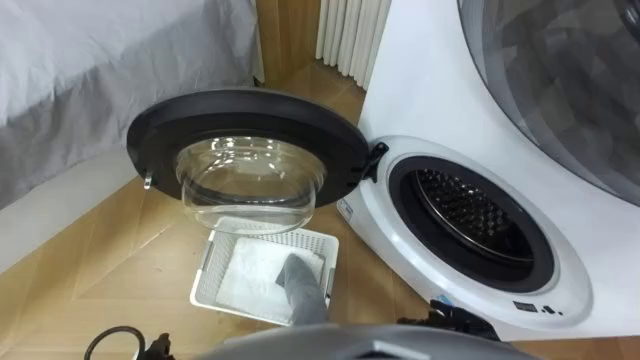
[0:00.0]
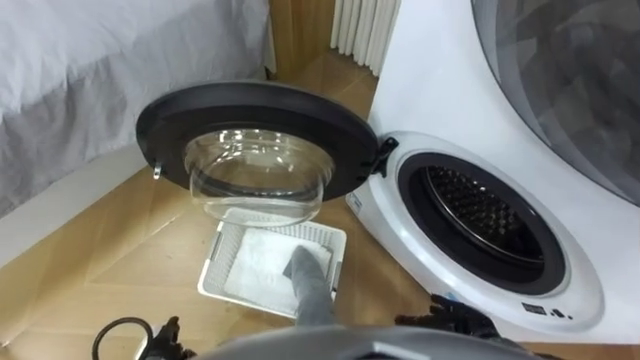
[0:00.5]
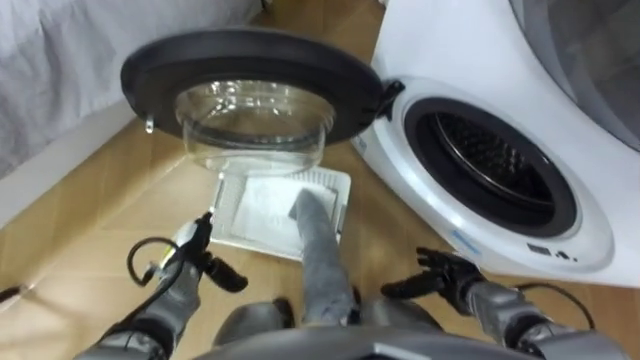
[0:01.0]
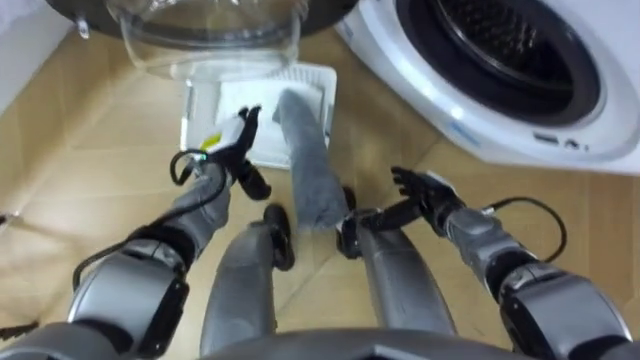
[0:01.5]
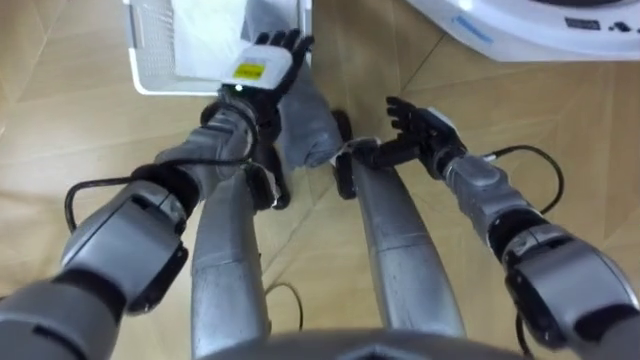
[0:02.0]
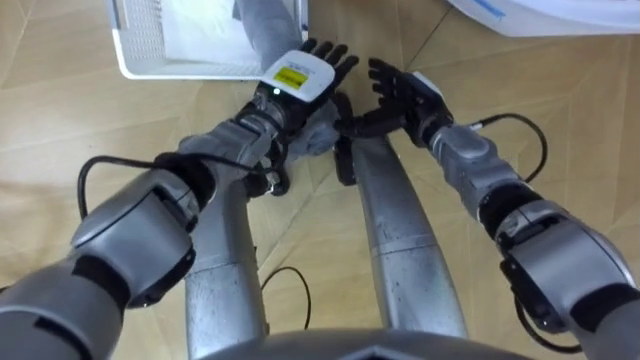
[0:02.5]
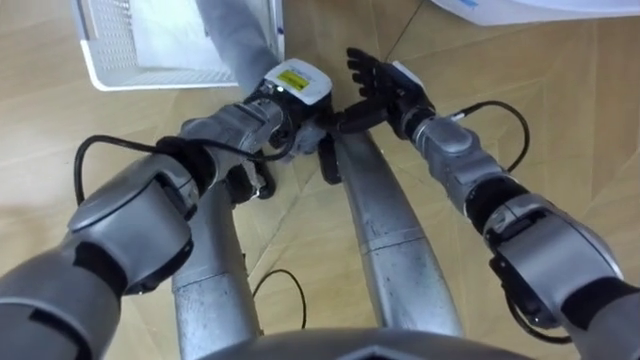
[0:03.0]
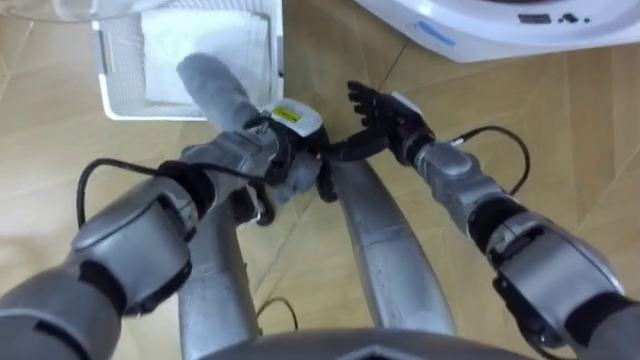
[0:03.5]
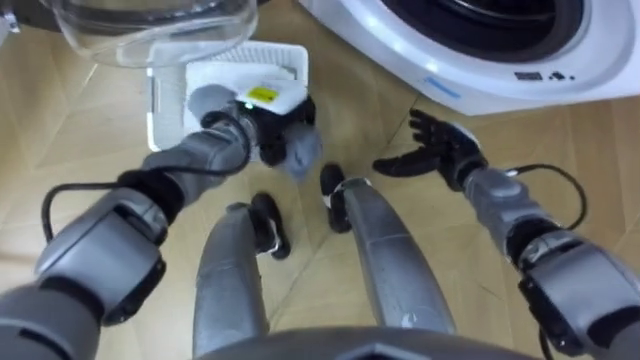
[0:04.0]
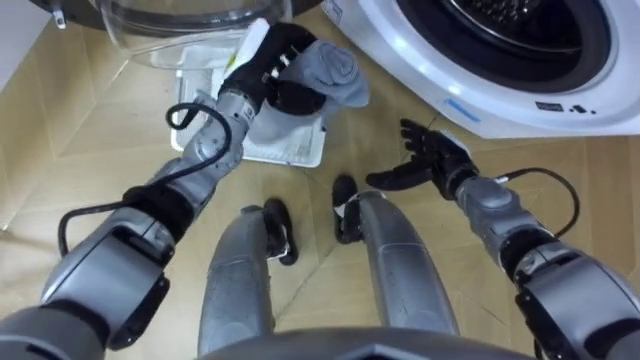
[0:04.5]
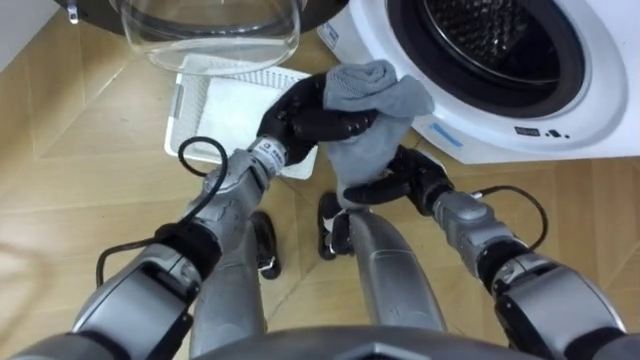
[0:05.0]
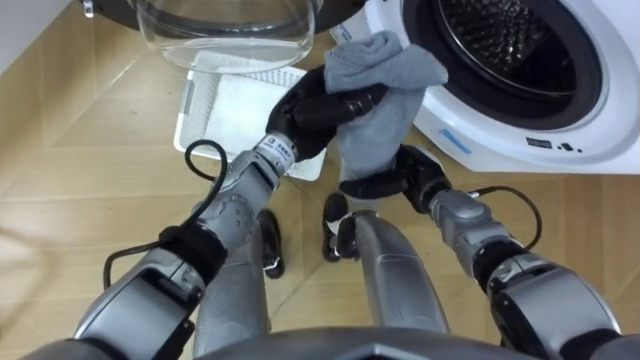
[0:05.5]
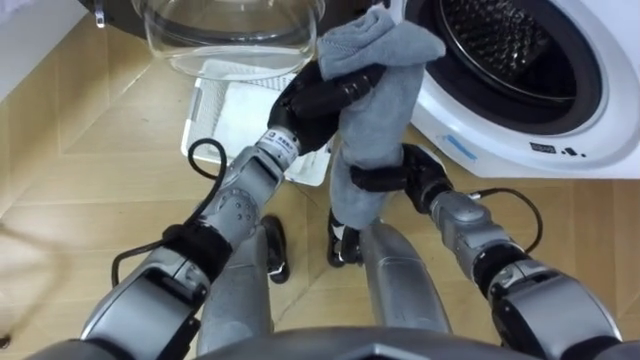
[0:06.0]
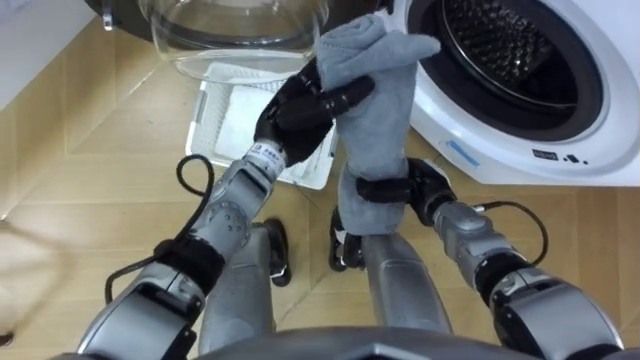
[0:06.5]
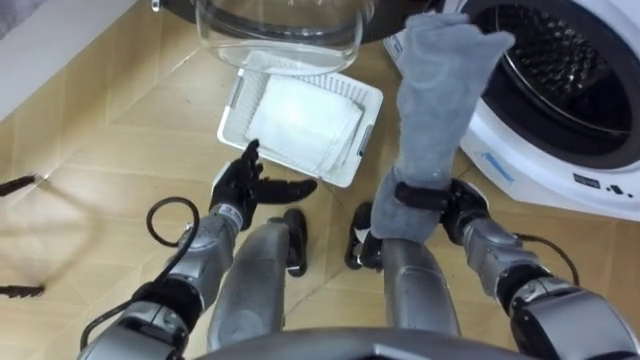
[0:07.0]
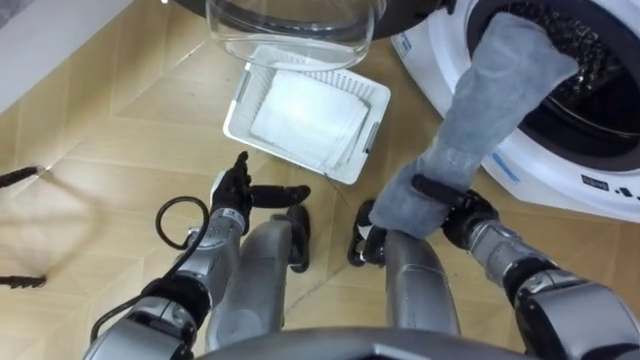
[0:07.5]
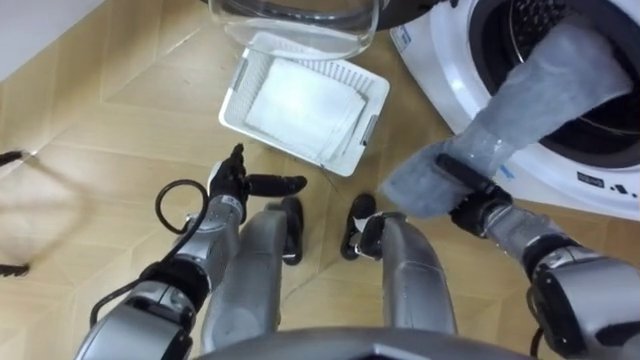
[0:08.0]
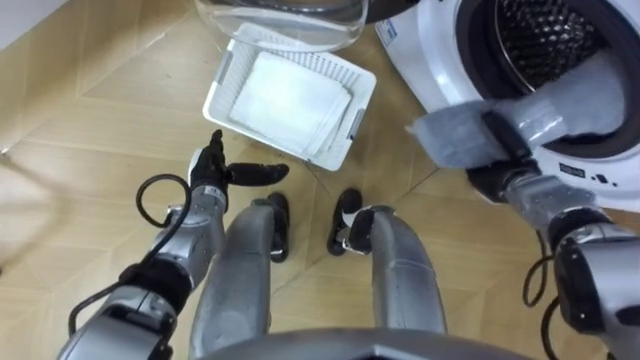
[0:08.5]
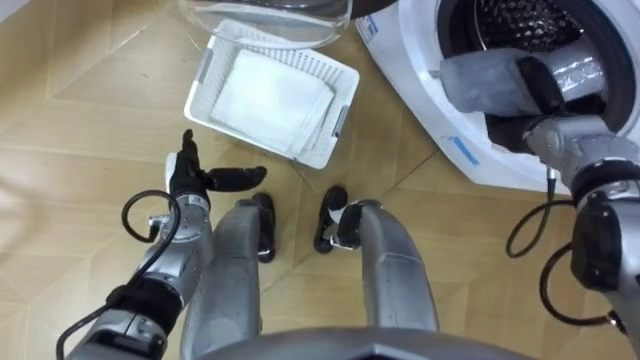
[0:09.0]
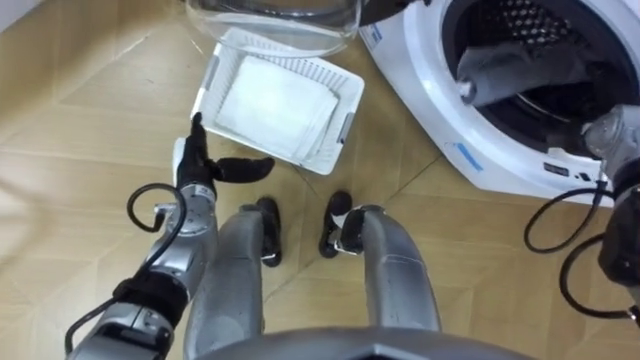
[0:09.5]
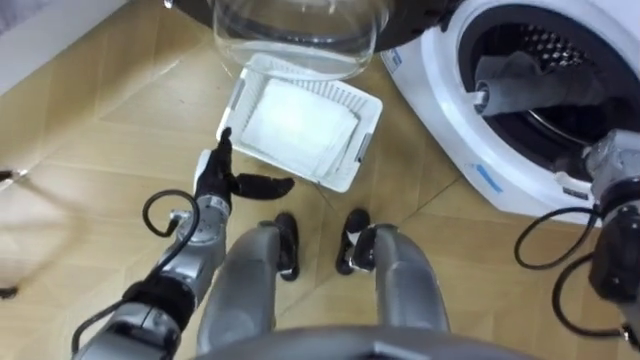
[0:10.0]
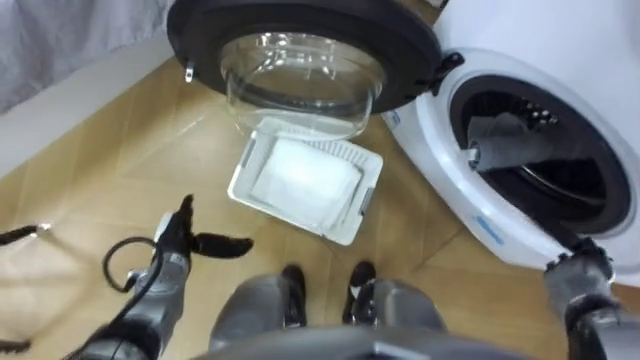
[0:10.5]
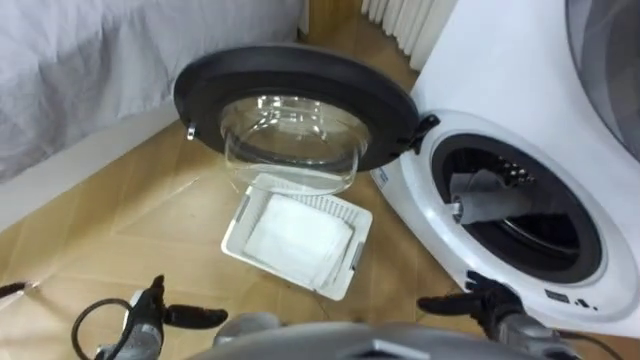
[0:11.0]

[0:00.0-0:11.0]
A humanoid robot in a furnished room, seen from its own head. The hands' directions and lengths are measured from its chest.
Task of the whole recording: Take the towel from the basket and put it into the washing machine.
0:02.0 to 0:03.5: The left hand heads downward, covering about 5 cm, and closes up. The right hand travels to the left by roughly 5 cm.
0:03.5 to 0:05.5: The left hand goes approximately 5 cm upward. Meanwhile the right hand shifts about 10 cm downward and backward.
0:05.5 to 0:07.5: The left hand heads downward, to the left and backward, covering roughly 20 cm, and opens its fingers. The right hand shifts about 10 cm to the right, and closes up.
0:07.5 to 0:09.0: The left hand heads to the left, covering about 5 cm, while the right hand moves forward, upward and to the right, approximately 15 cm.
0:09.0 to 0:11.0: The two hands go roughly 25 cm backward and downward. The right hand opens its fingers.

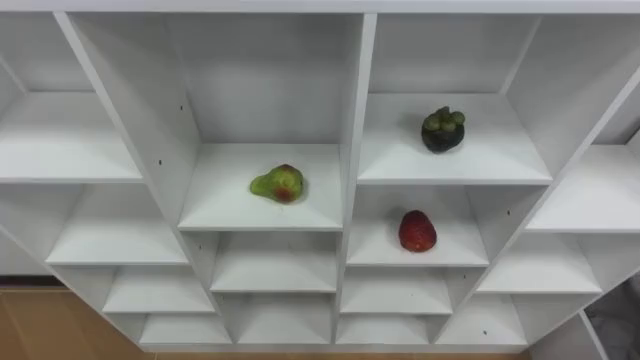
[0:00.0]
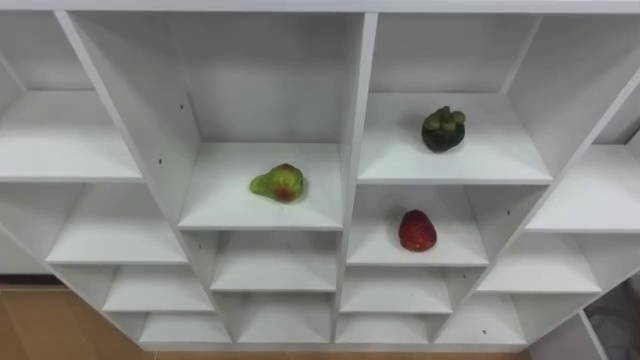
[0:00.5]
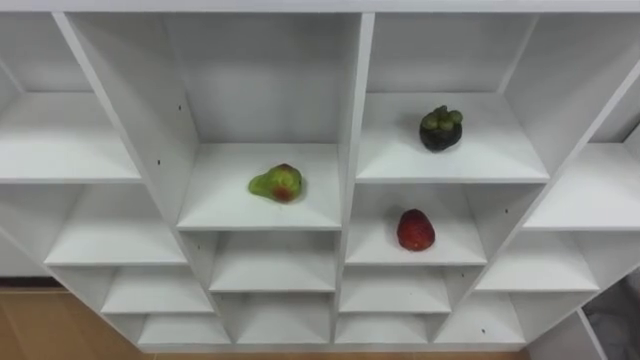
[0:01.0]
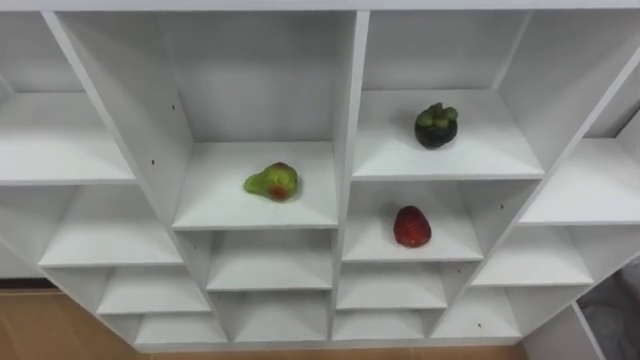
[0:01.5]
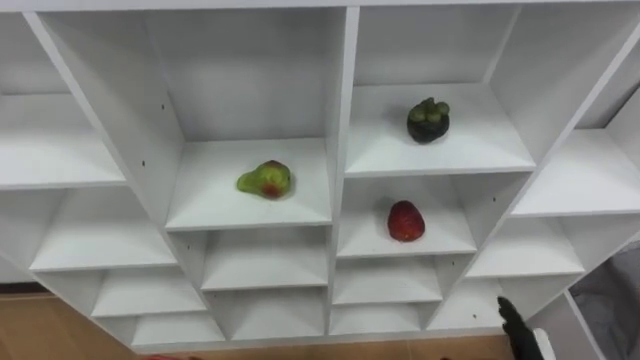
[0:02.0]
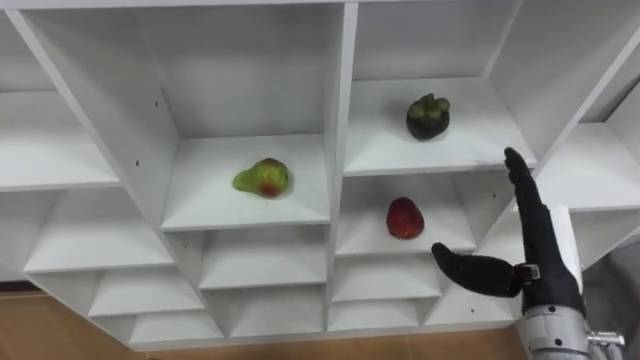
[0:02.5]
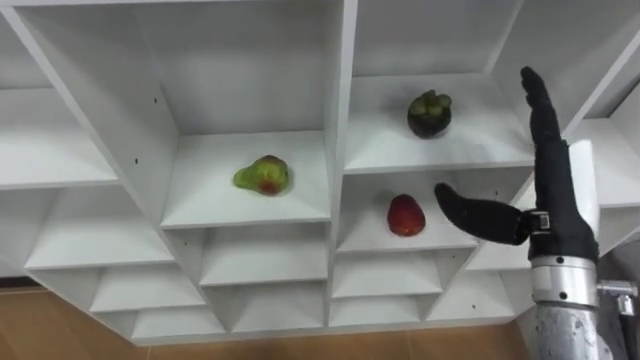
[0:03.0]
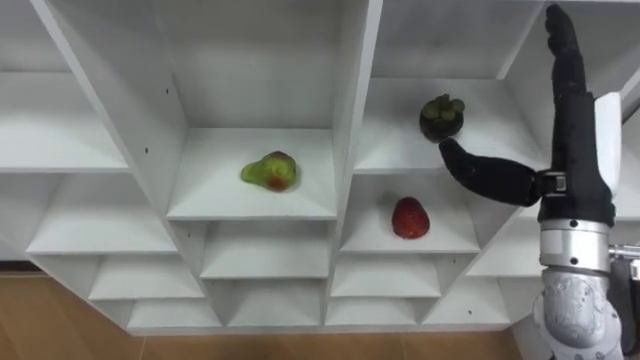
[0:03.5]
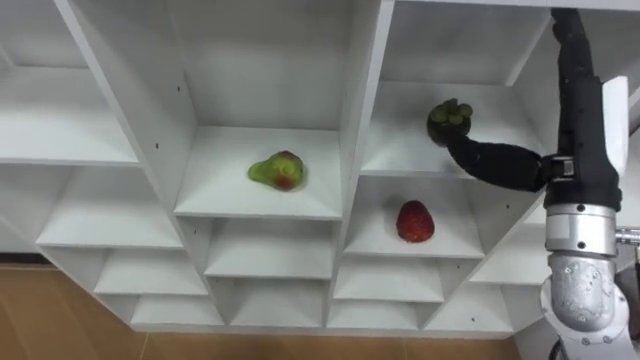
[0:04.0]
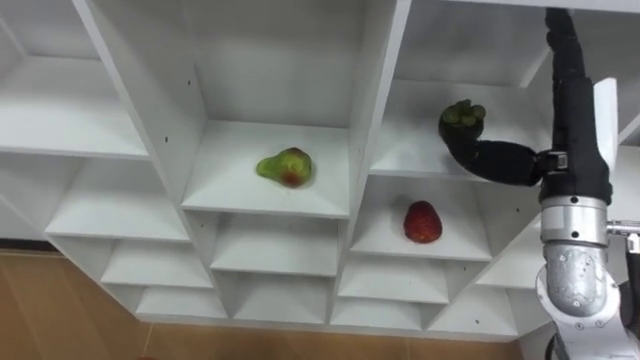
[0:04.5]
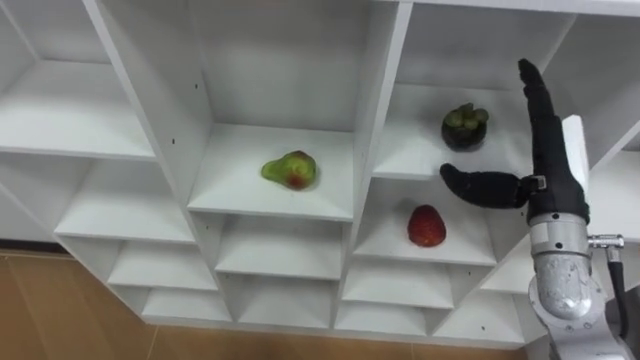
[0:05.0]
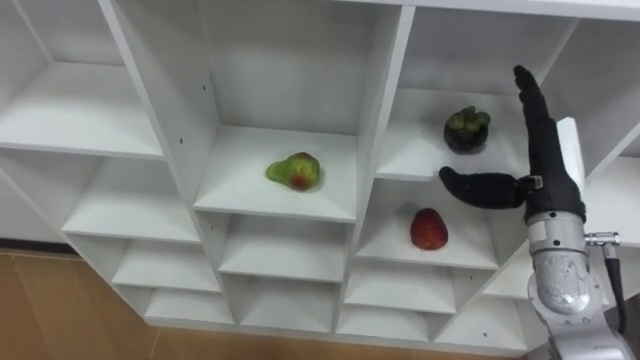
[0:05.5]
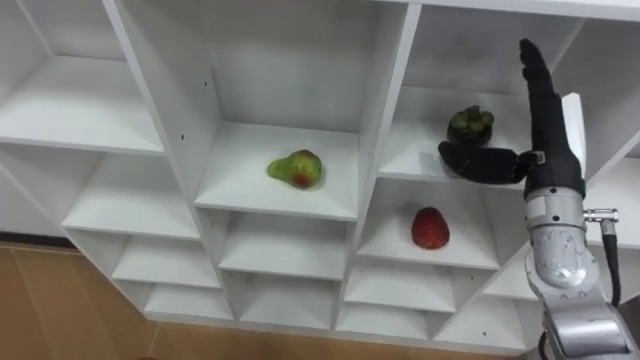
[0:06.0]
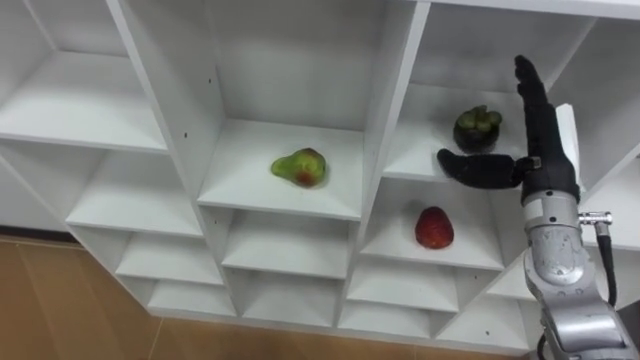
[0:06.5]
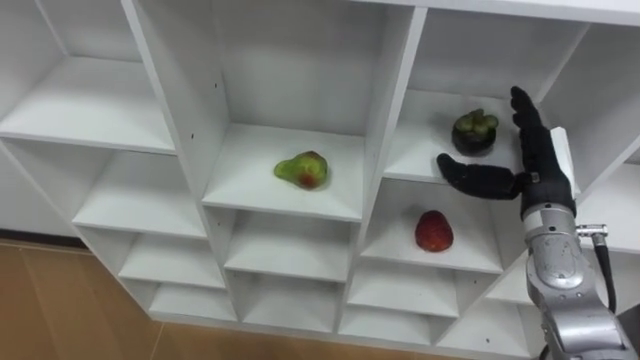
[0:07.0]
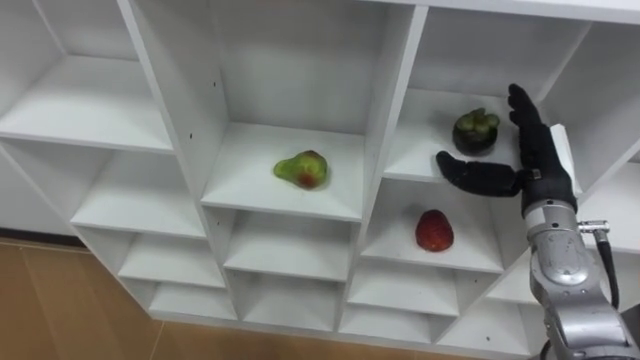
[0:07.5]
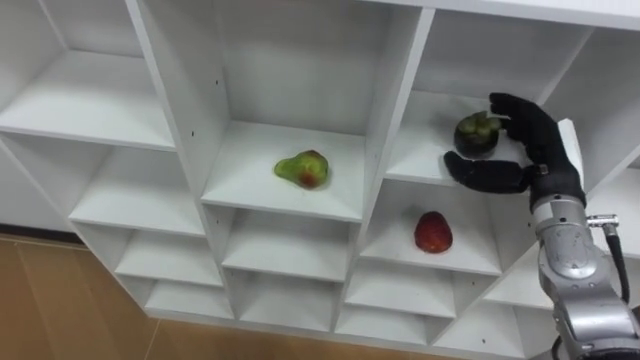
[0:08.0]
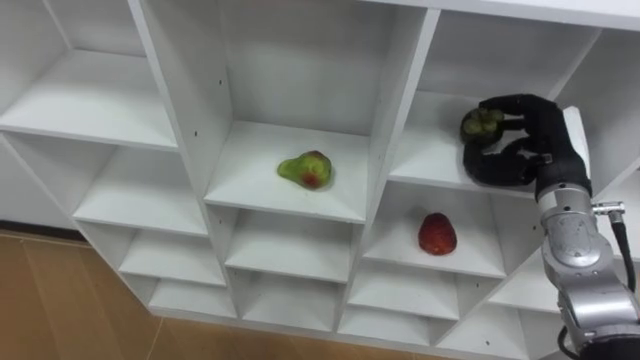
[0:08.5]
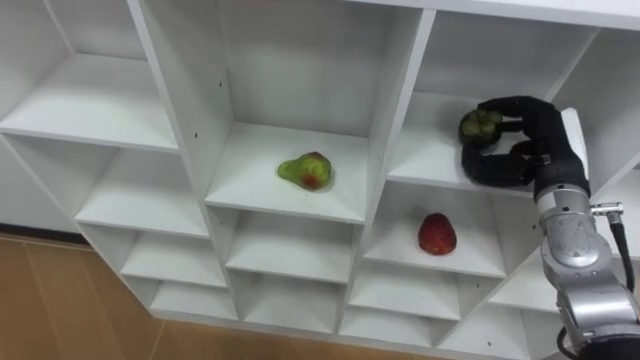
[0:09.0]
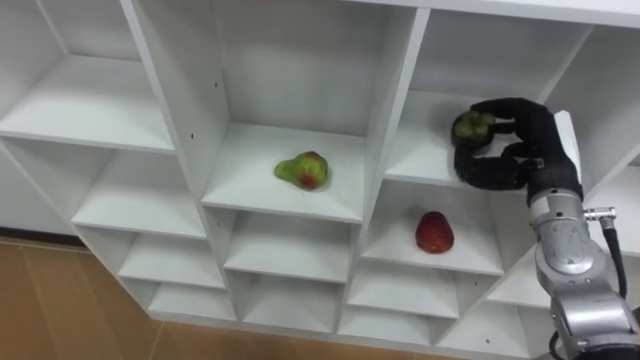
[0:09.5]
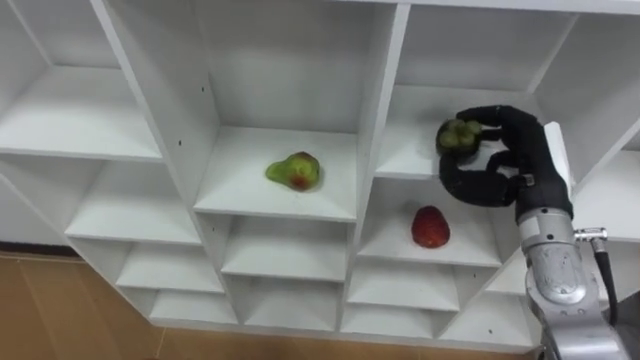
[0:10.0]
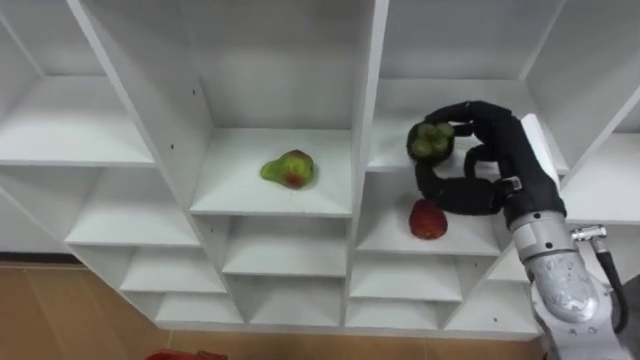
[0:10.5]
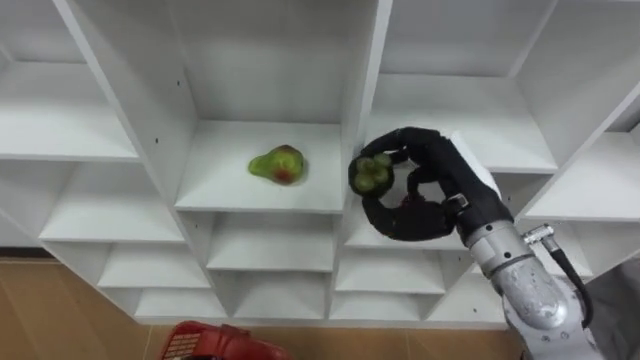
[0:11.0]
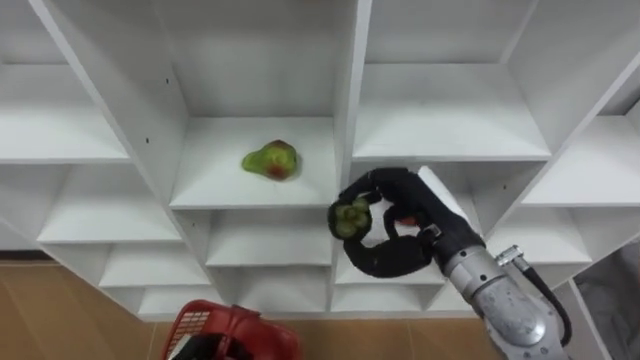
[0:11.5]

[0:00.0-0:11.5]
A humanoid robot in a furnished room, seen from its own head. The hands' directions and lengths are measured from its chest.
Task of the whole recording: Hold the basket and collect the fruits from 3 different cells of the closet into it.
0:04.0 to 0:06.0: The right hand moves downward, about 5 cm.
0:06.0 to 0:07.5: The right hand moves about 5 cm.
0:07.5 to 0:09.5: The right hand closes.
0:09.5 to 0:11.5: The right hand moves to the left and backward, about 15 cm.
